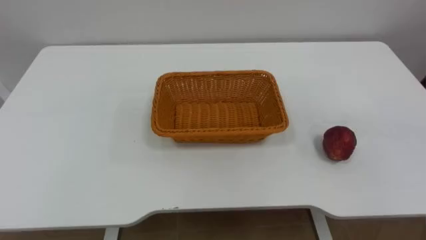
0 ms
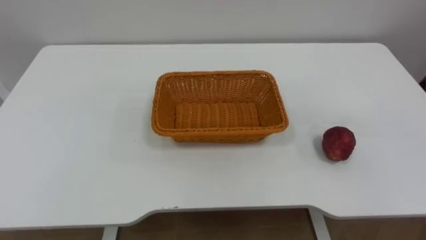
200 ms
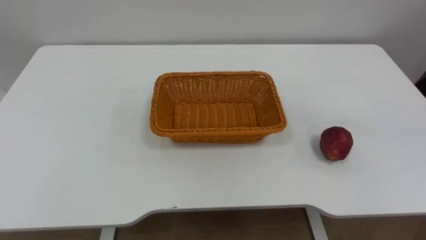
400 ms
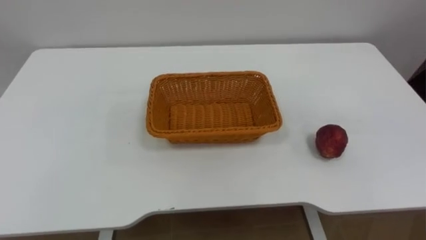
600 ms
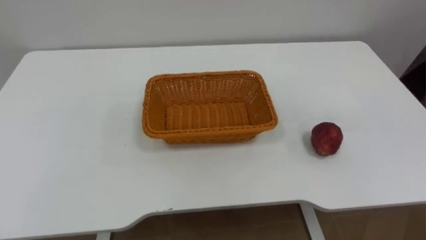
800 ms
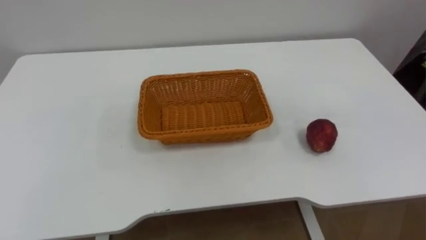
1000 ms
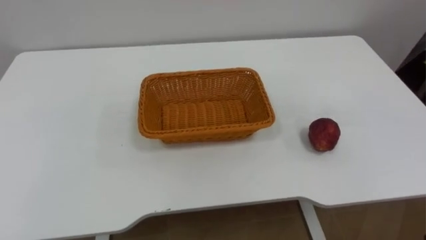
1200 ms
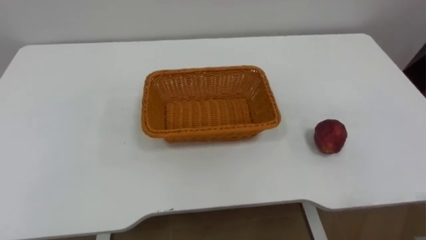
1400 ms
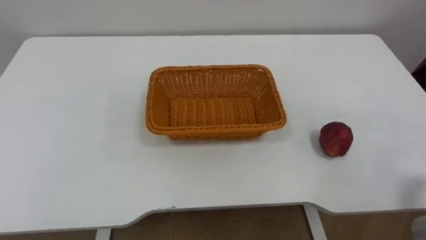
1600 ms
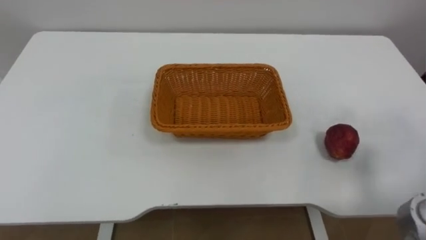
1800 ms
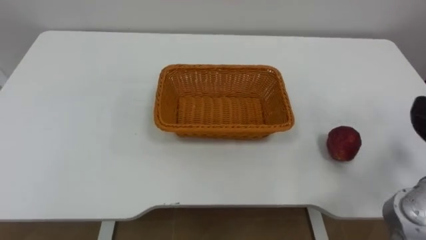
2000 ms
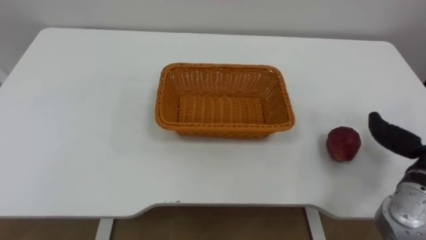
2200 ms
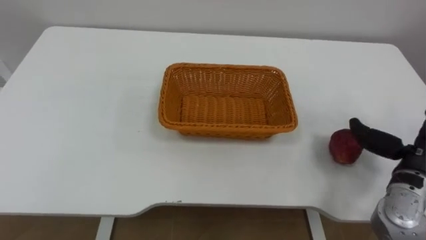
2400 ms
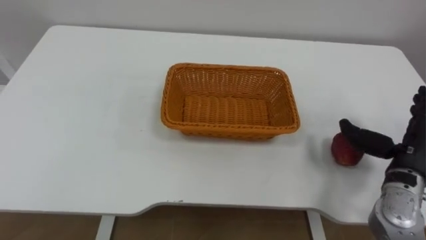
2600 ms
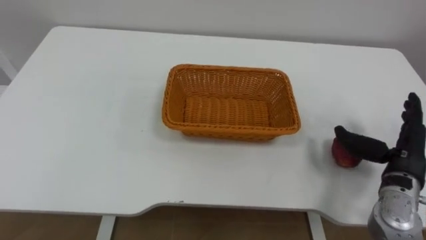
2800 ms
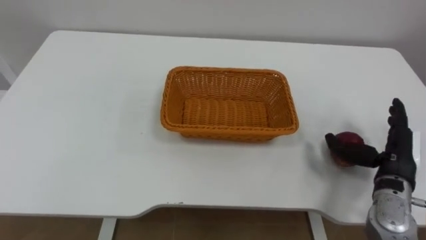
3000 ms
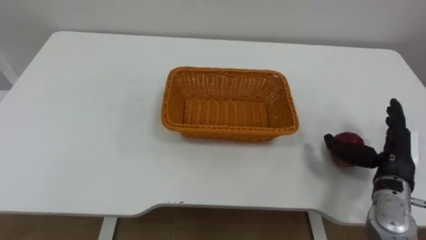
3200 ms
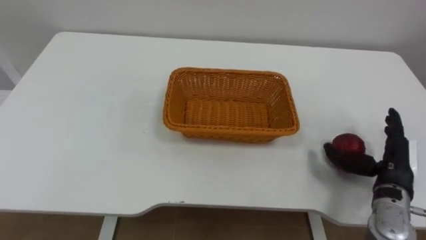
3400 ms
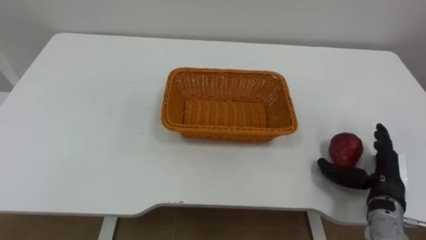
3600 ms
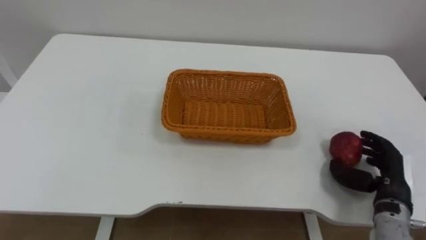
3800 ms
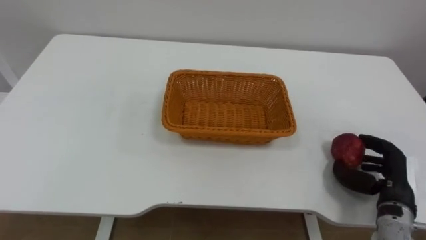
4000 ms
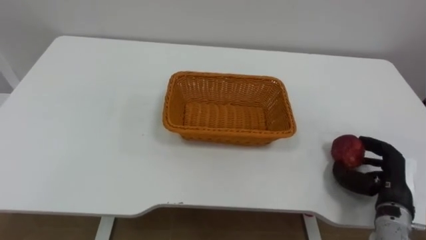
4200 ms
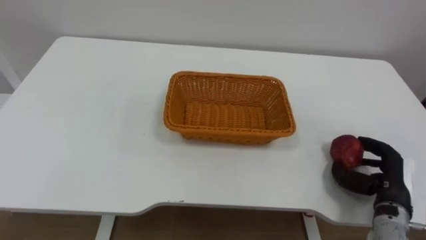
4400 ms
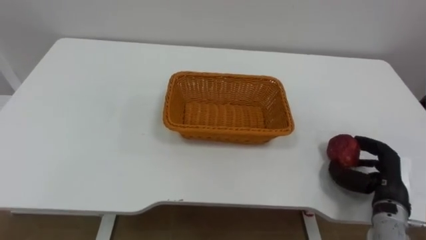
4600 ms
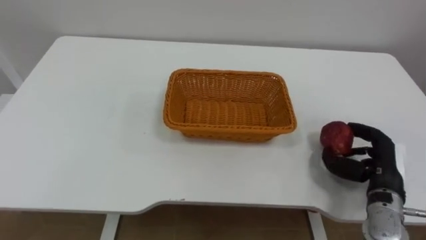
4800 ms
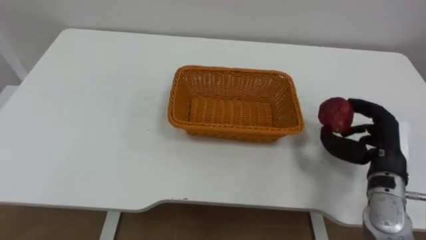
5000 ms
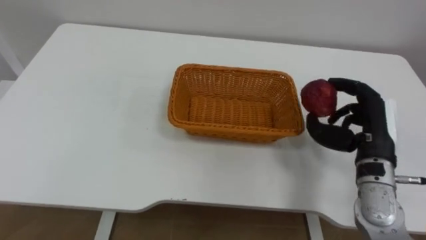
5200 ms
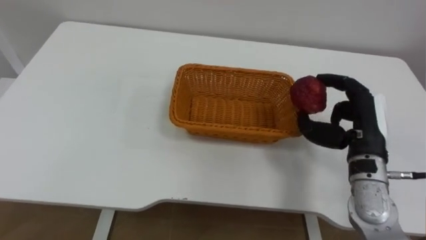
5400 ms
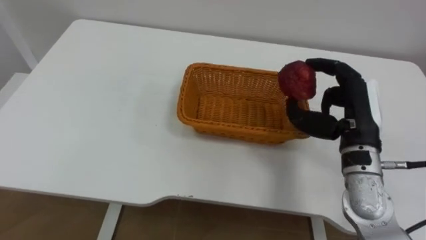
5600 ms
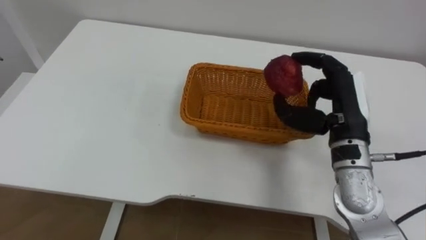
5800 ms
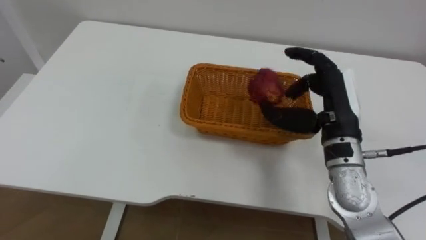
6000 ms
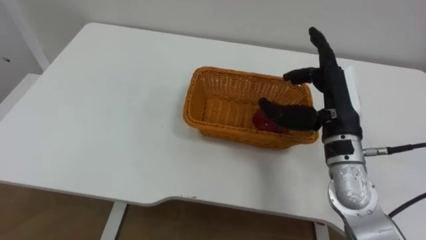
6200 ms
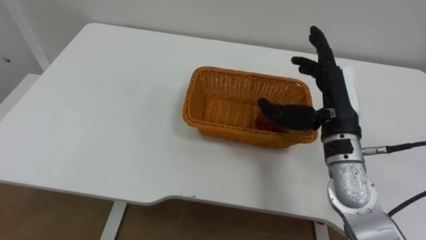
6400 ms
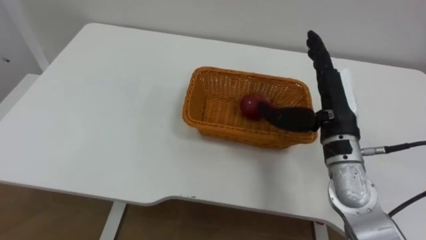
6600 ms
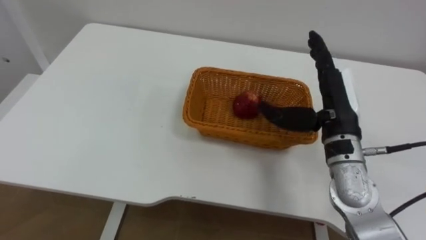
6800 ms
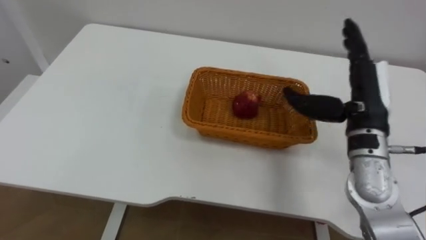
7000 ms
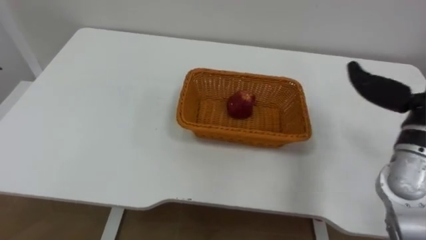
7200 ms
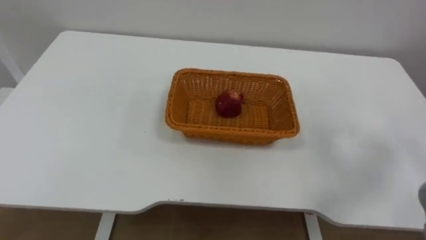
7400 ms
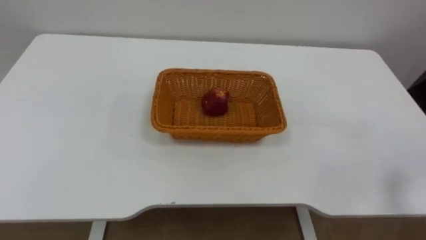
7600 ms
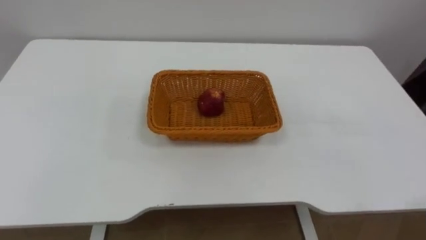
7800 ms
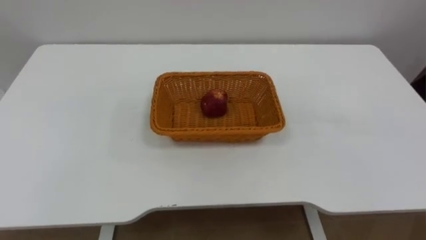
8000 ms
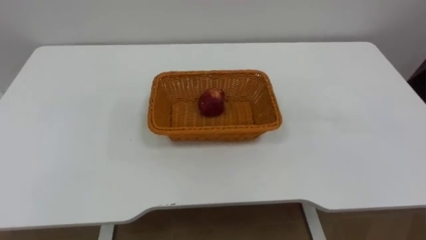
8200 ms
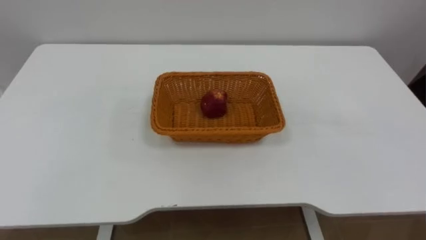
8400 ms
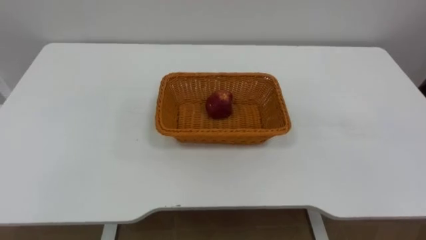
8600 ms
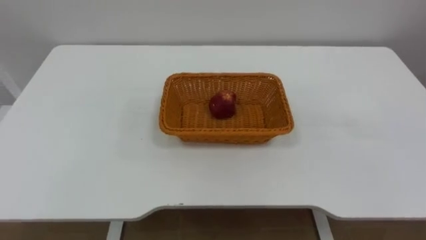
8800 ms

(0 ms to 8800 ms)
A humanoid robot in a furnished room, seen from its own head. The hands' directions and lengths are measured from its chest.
Task of the whole recording: Pick the apple and place it in the box.
3000 ms - 4400 ms: The right hand travels downward by some 5 cm, and closes.
4400 ms - 5800 ms: The right hand heads upward, to the left and forward, covering about 20 cm.

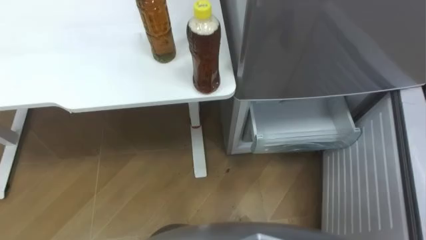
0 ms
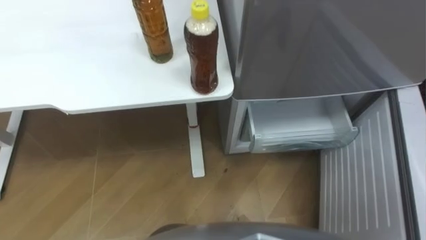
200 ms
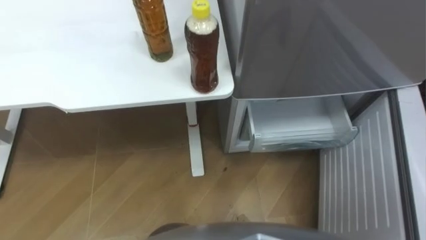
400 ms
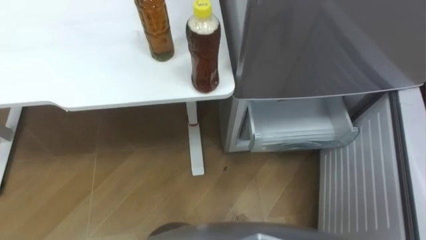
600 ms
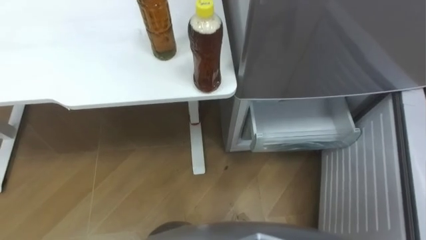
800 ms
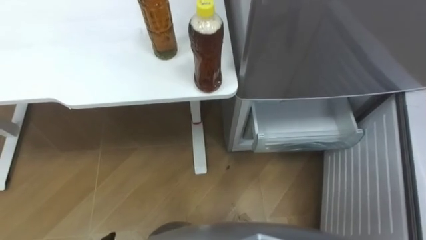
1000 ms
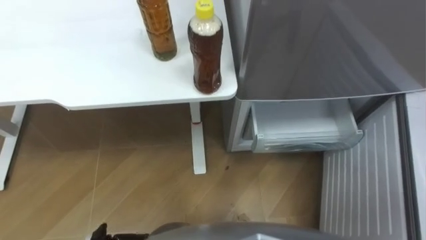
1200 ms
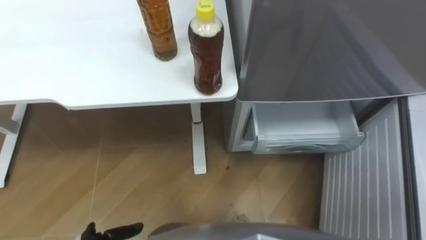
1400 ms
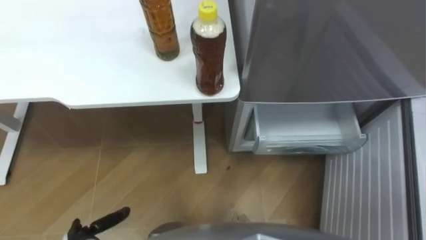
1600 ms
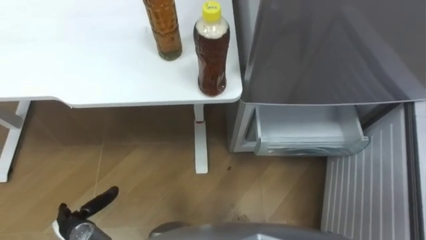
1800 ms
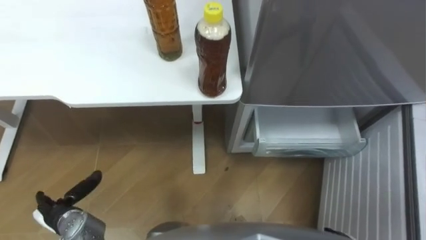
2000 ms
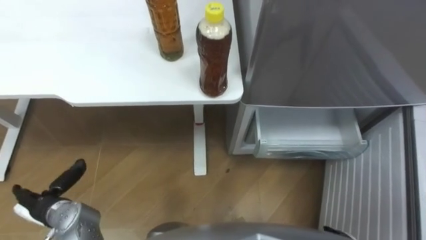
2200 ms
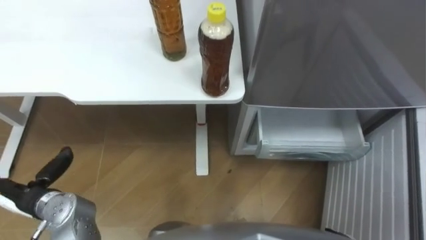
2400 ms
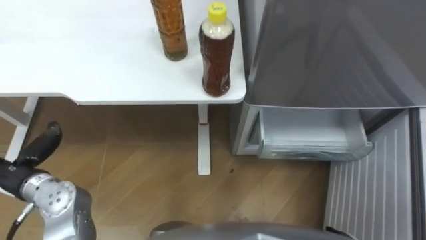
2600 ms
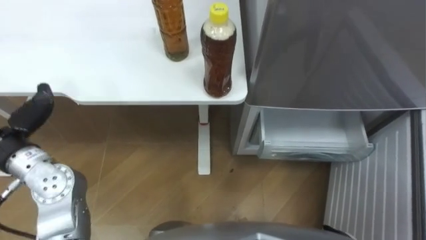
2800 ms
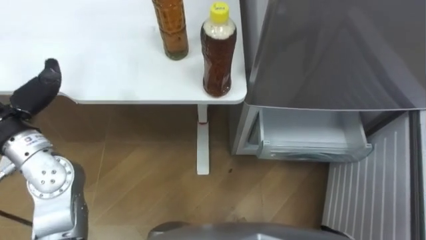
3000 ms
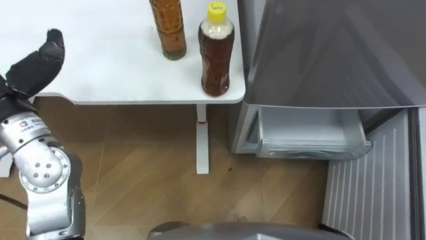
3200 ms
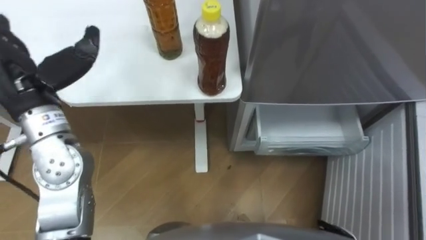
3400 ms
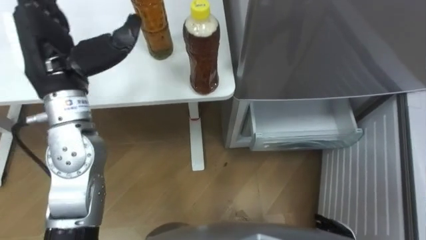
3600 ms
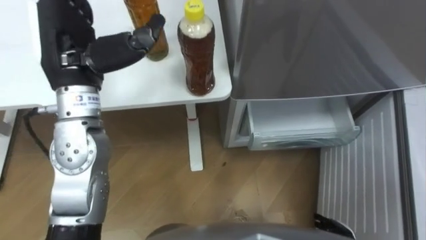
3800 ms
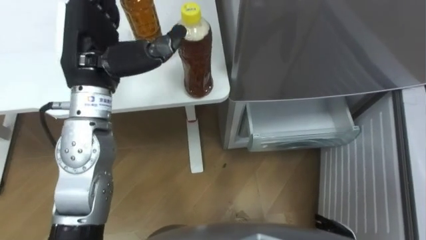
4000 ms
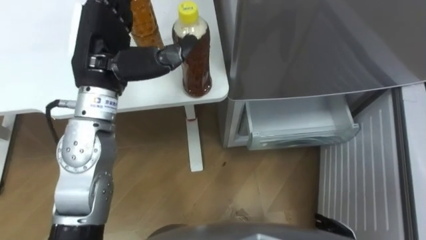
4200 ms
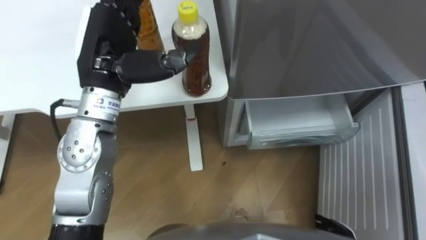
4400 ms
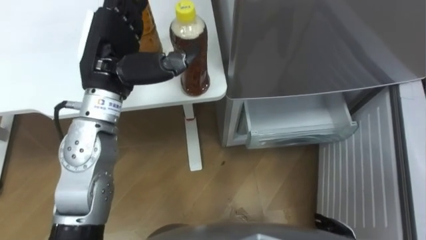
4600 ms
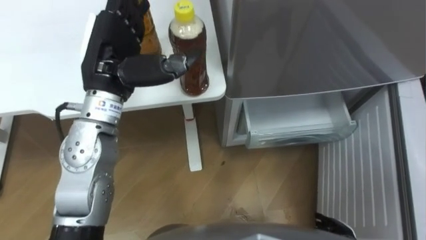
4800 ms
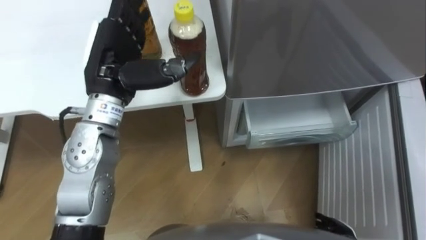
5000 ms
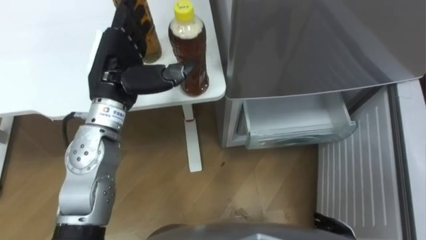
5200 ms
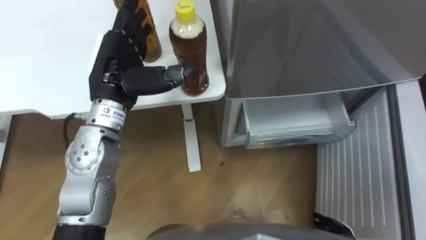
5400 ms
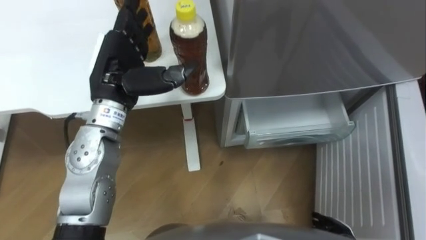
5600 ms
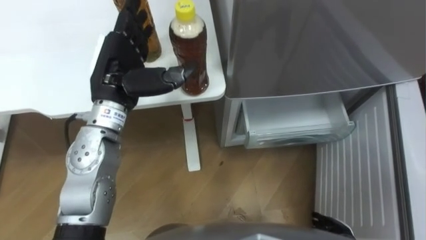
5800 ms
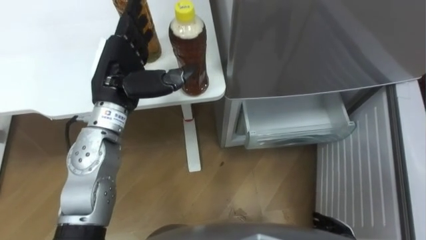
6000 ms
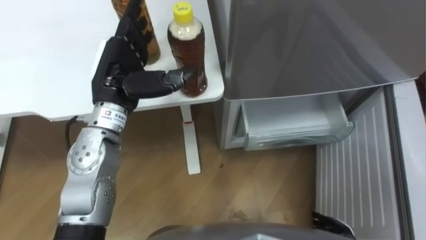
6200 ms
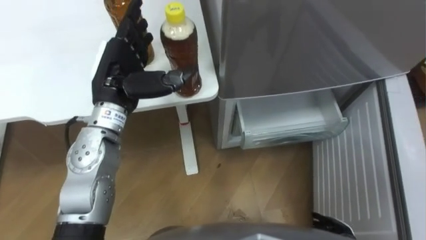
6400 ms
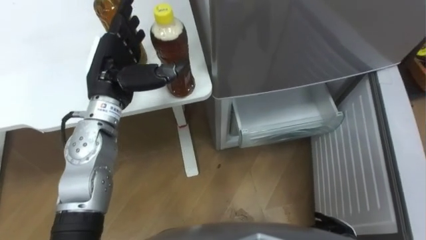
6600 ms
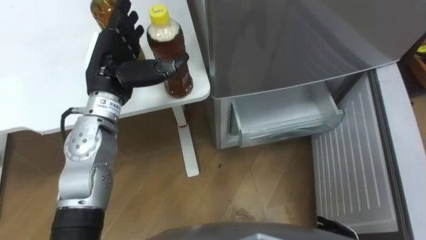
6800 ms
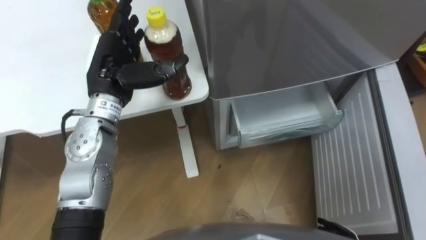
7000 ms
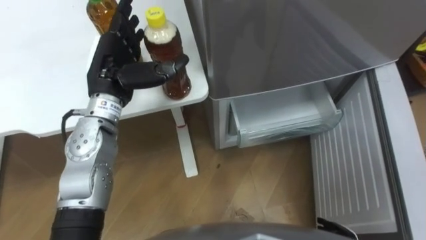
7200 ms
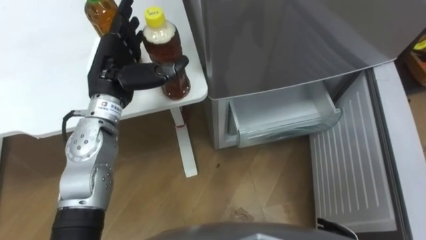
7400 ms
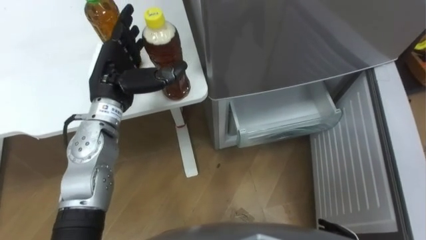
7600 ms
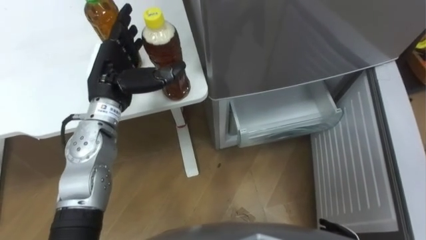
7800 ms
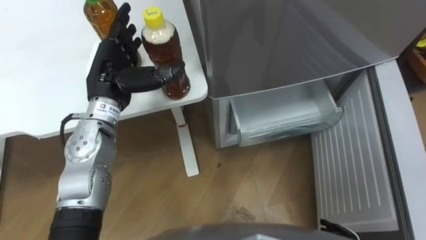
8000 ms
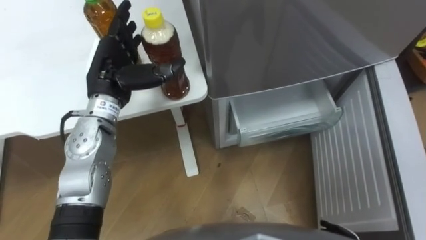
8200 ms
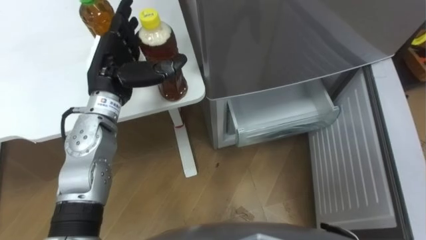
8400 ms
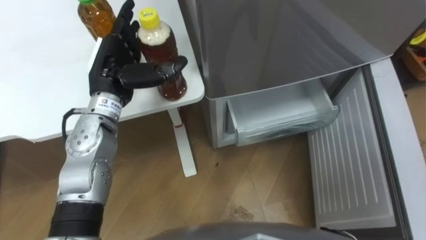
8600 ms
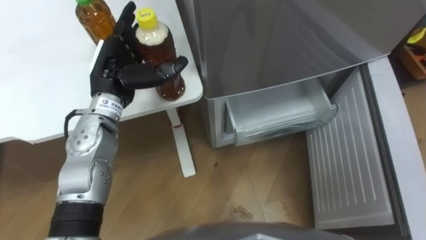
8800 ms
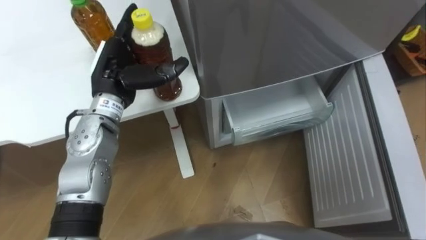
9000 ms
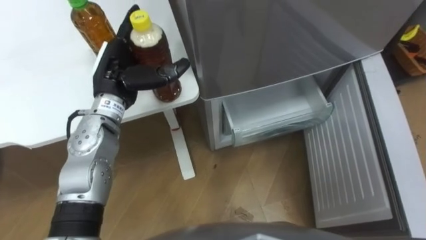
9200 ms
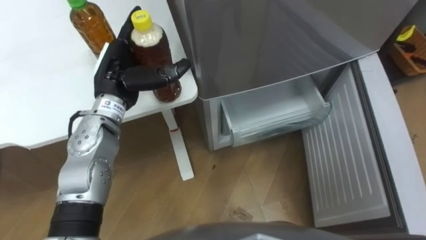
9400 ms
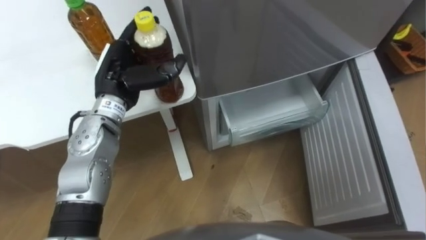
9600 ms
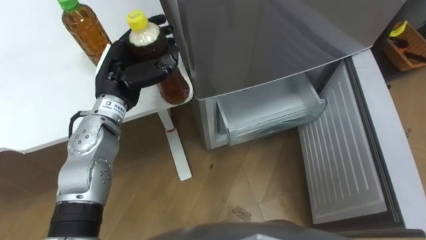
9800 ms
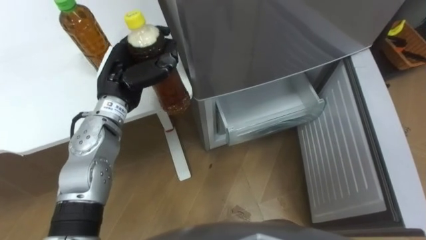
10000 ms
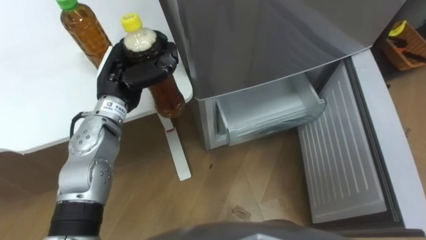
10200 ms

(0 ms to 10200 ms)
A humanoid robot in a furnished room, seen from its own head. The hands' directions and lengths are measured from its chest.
Task of the whole recording: Place the drink on the table on the bottom shelf of the refrigerator, then close the drawer and the refrigerator door.
4400 ms - 5800 ms: The left hand moves downward, some 5 cm.
8800 ms - 10200 ms: The left hand closes up.
